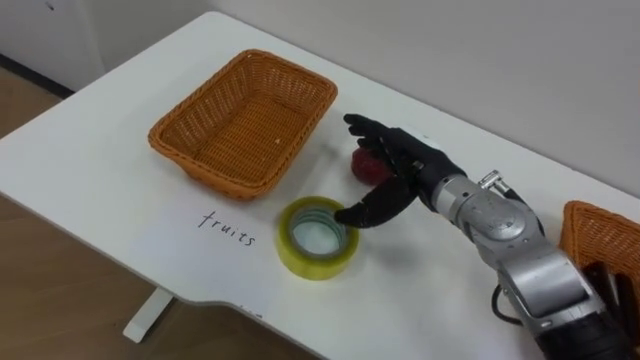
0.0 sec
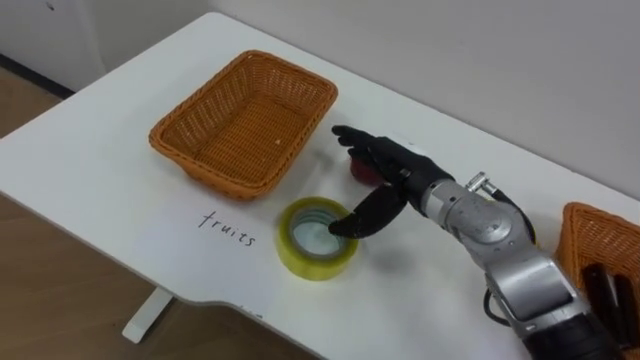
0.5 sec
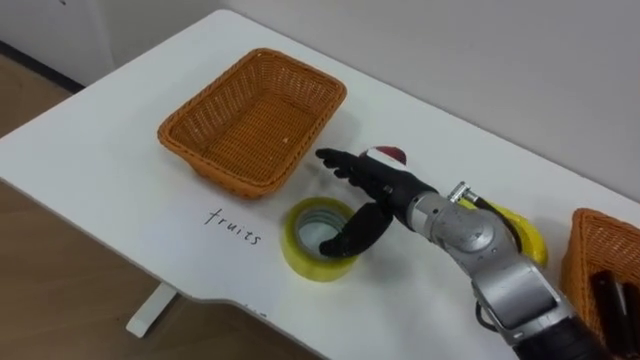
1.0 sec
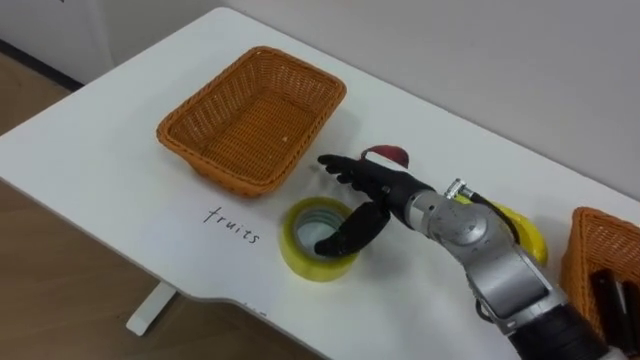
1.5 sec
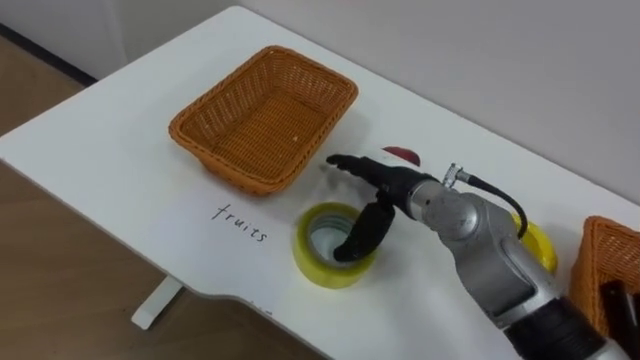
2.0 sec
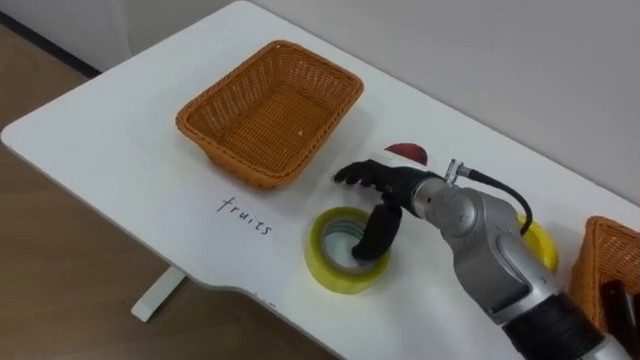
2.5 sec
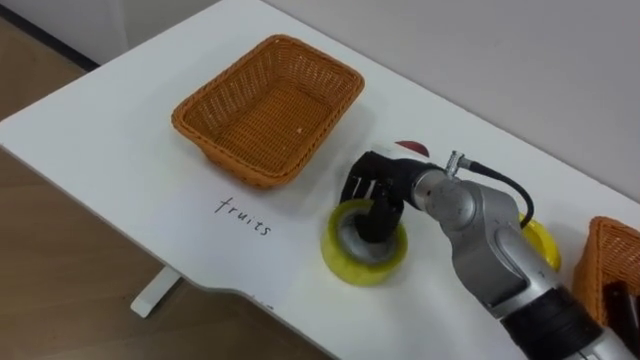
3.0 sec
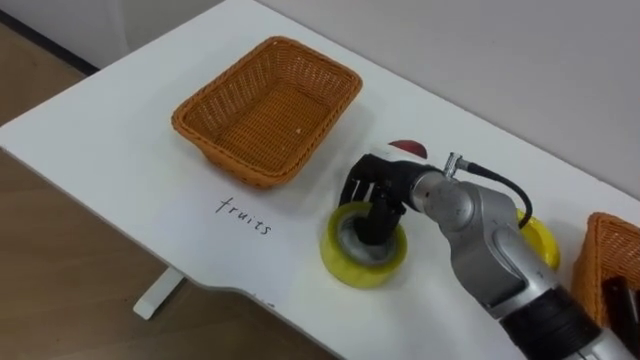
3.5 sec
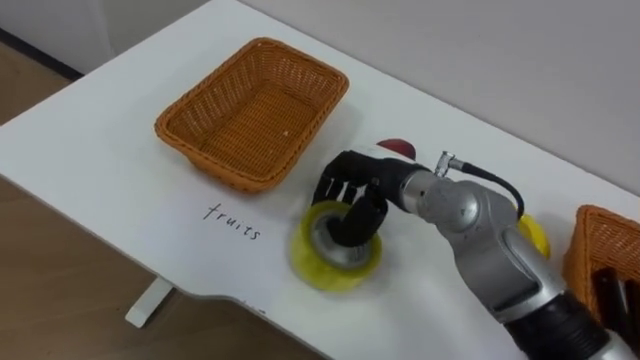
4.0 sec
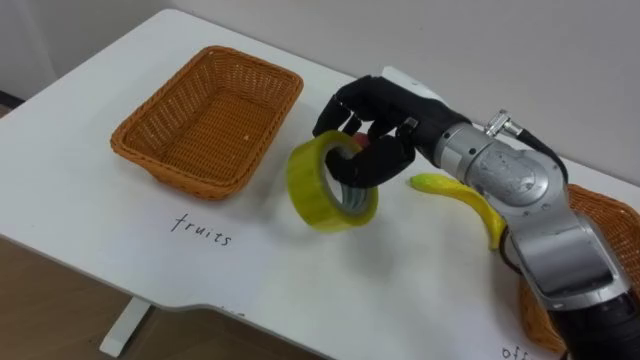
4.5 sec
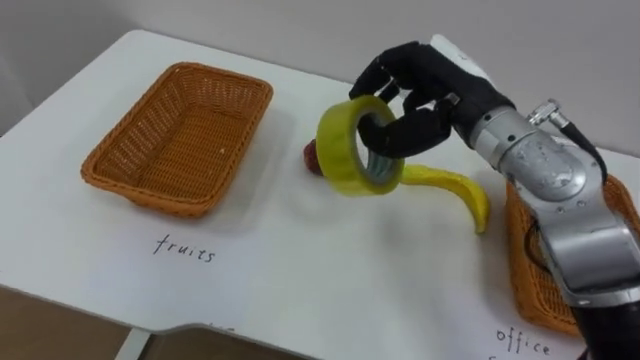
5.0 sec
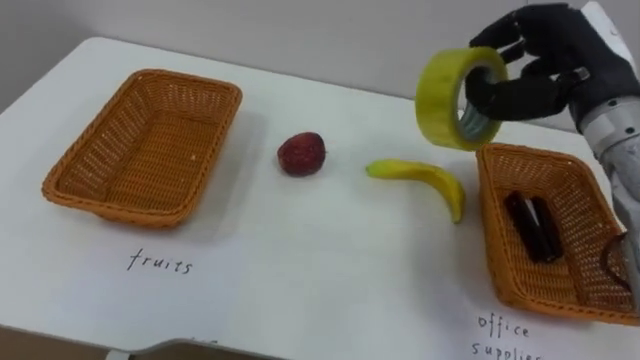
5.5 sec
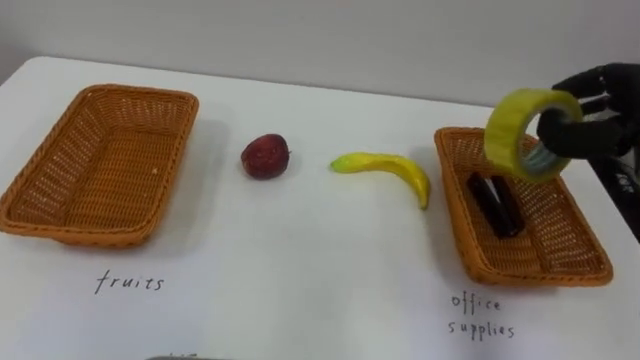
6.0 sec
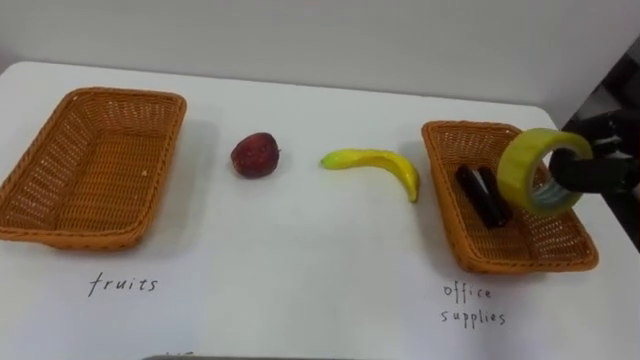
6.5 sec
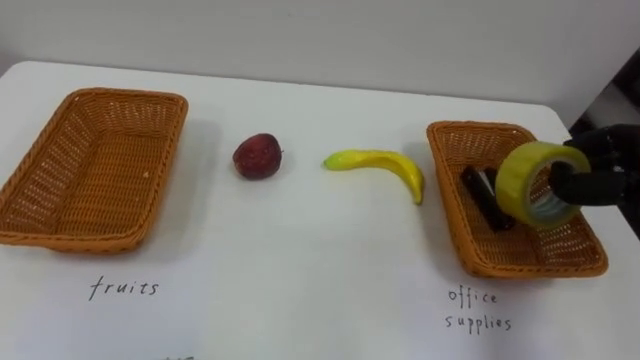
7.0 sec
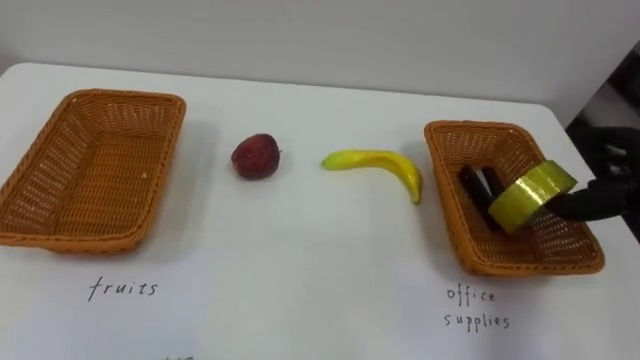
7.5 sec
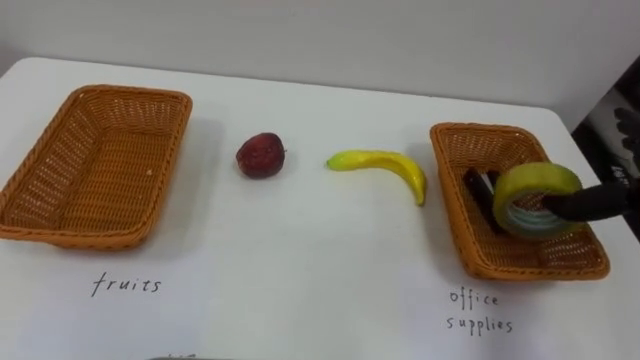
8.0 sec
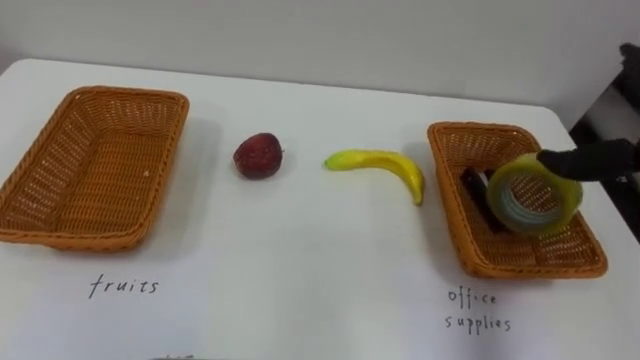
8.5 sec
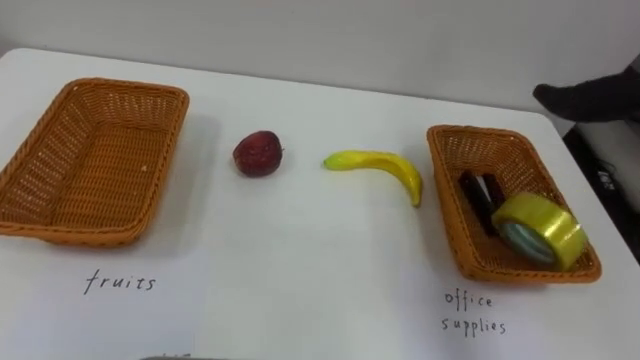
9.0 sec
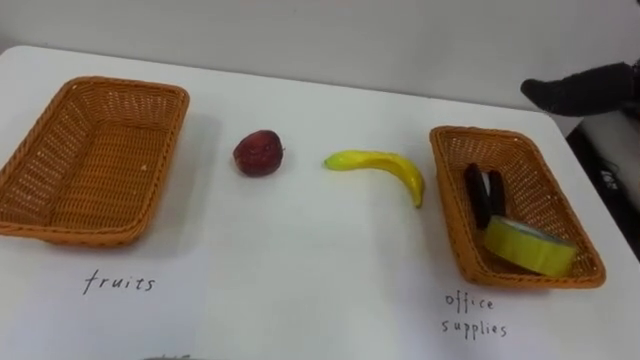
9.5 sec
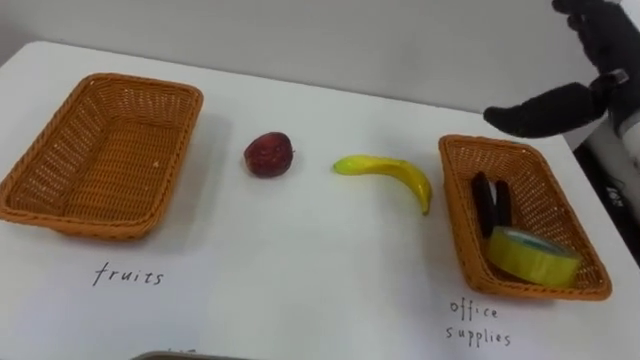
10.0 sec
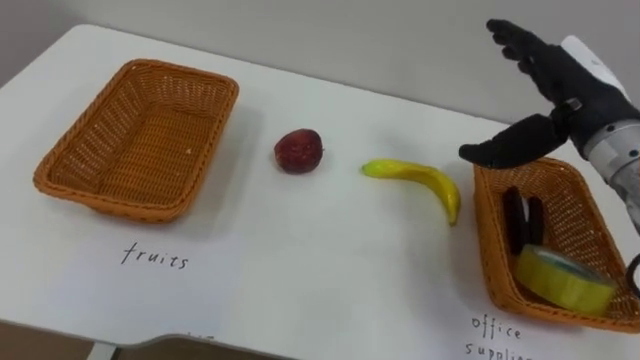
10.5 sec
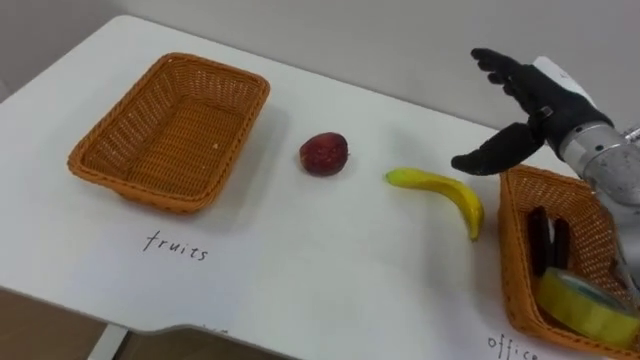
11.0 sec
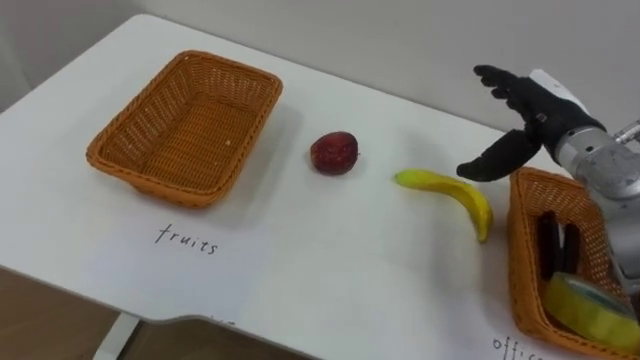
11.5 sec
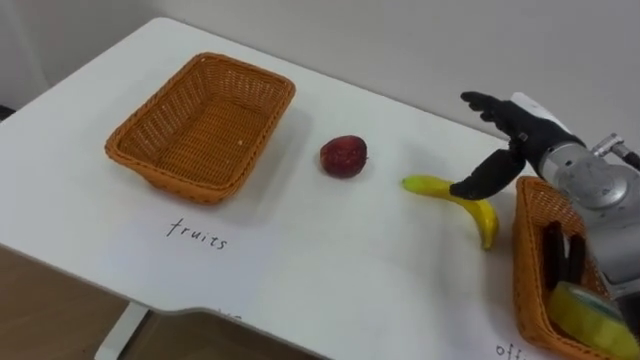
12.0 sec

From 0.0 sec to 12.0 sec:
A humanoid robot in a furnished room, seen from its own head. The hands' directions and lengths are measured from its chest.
Task of the whole recording: Separate the items on the table and place them into the two baskets.
From 2.0 sec to 4.0 sec: The right hand closes its fingers.
From 10.0 sec to 12.0 sec: The right hand moves downward, approximately 10 cm.

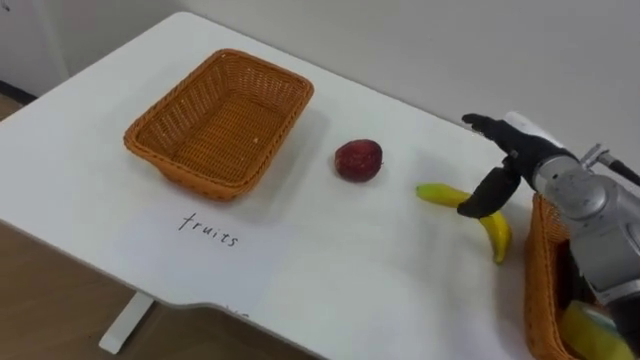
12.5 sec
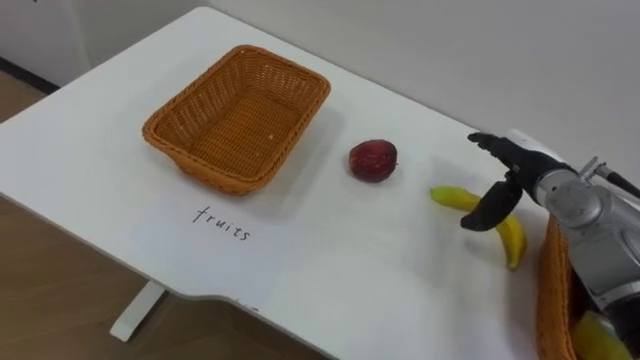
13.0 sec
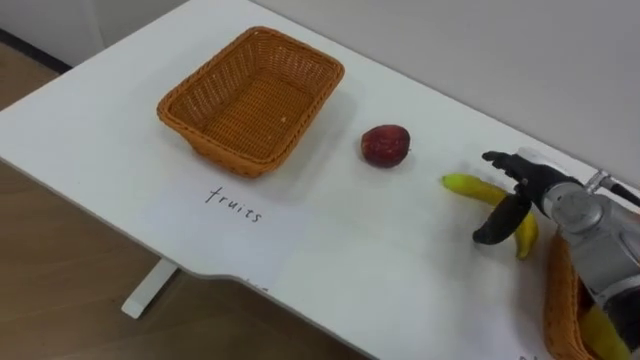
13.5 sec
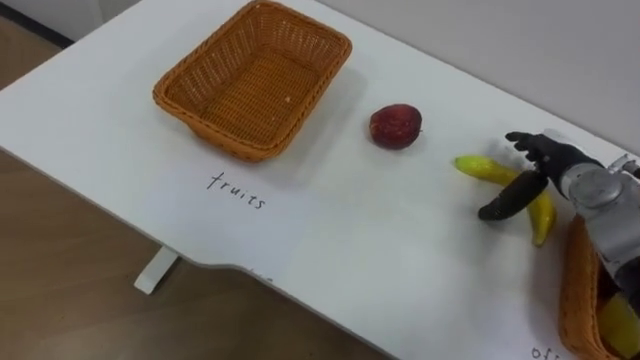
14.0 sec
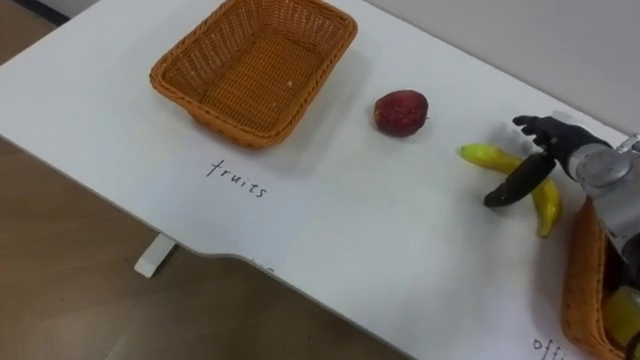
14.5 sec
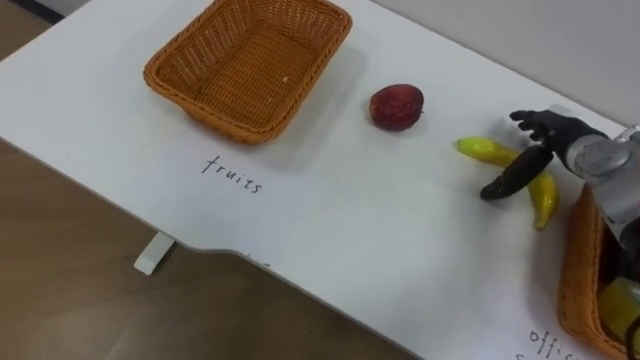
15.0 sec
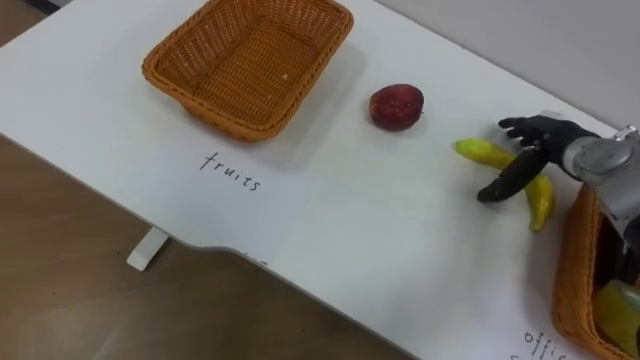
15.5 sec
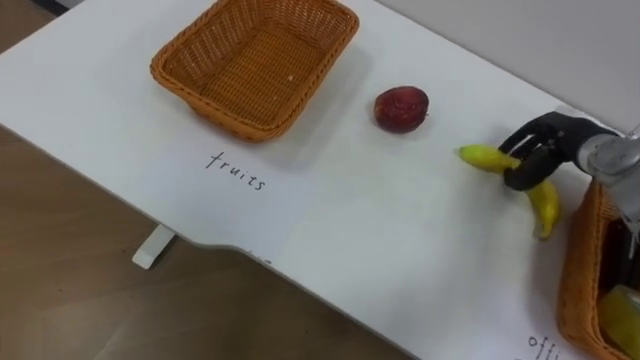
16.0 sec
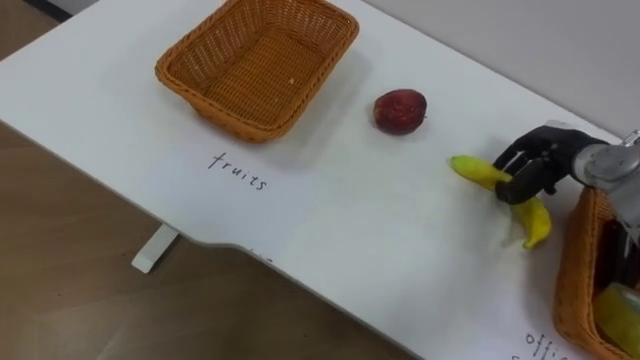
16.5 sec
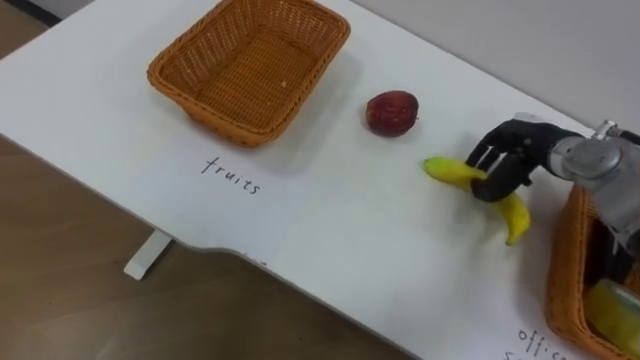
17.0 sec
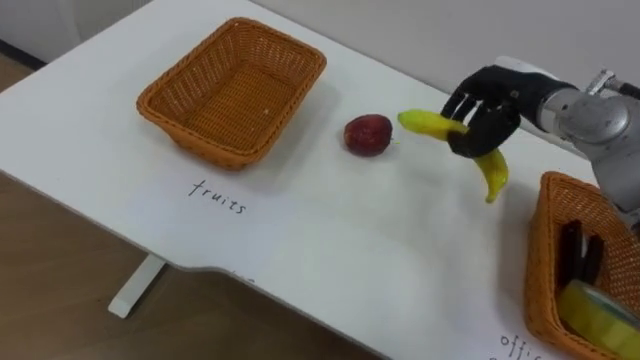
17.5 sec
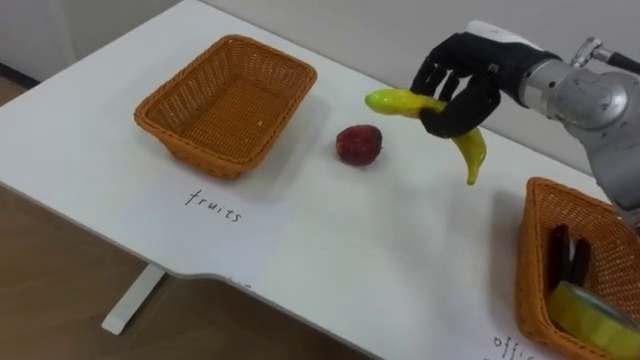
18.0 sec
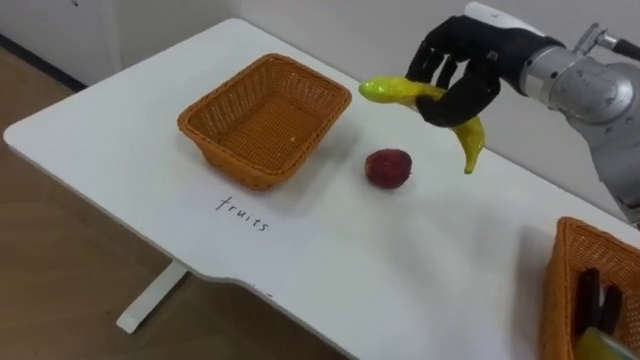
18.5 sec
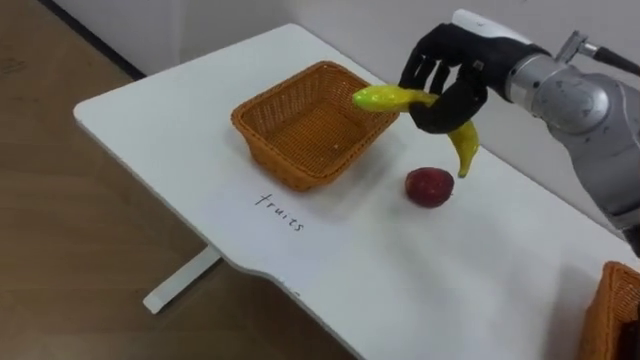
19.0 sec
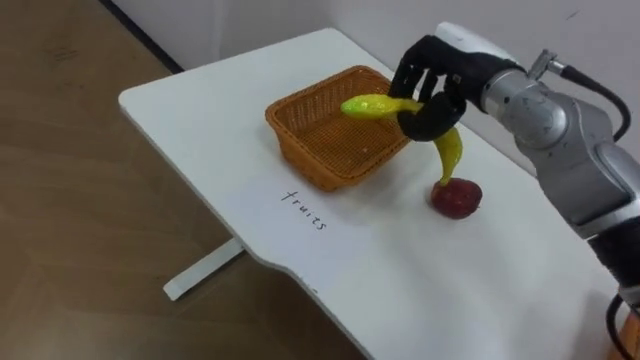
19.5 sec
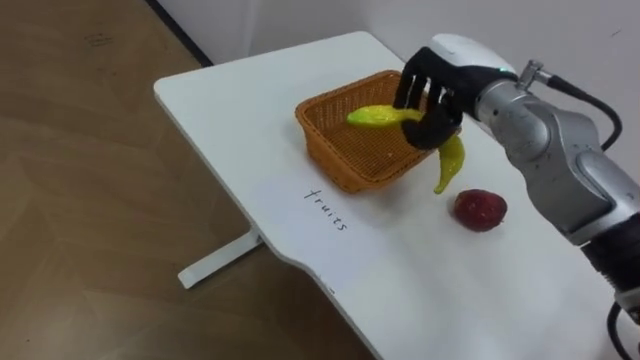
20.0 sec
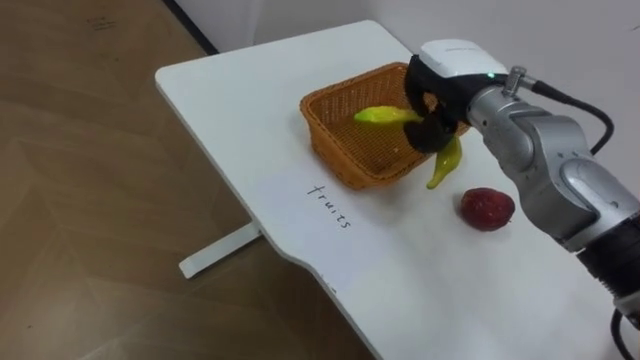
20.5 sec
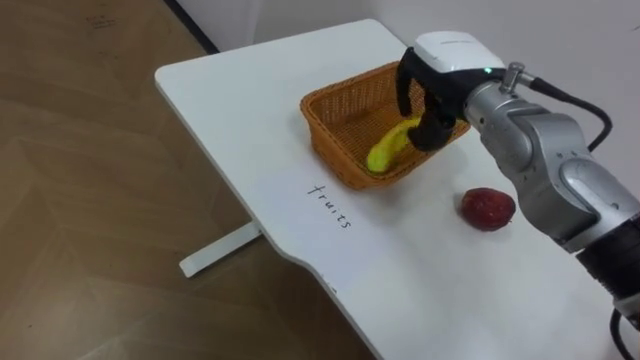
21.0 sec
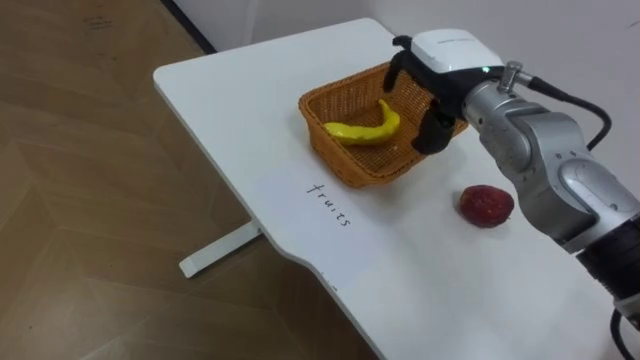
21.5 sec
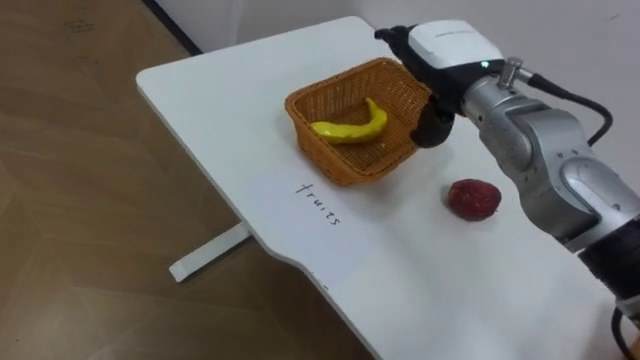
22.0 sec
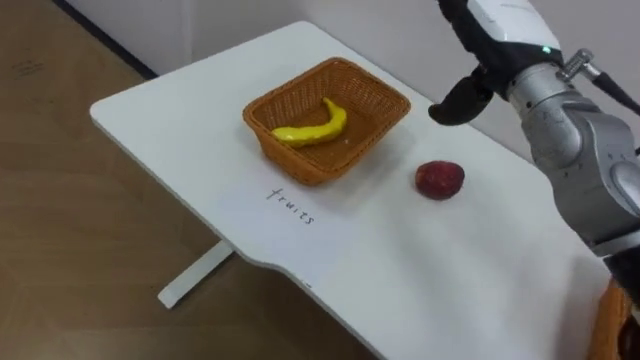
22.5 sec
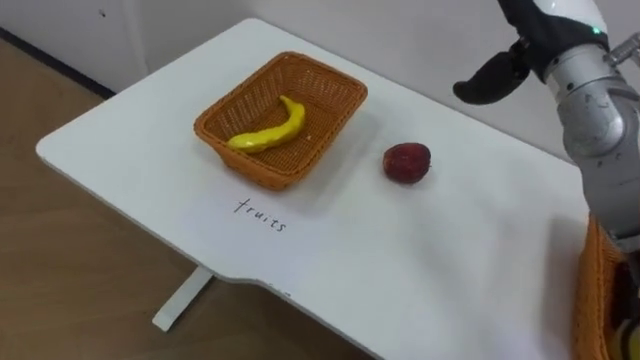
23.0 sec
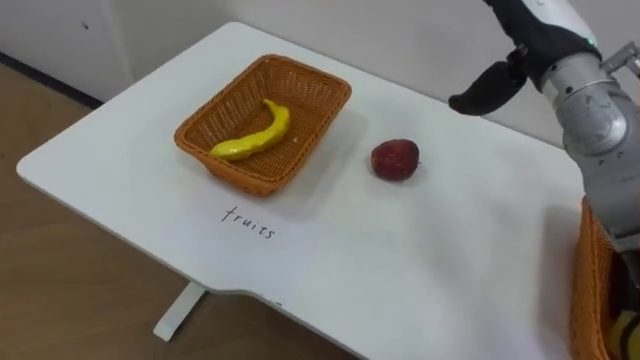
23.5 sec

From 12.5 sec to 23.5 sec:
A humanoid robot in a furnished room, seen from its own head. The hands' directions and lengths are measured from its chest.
Task of the whole recording: Separate the items on the table and place them into the two baskets.
From 12.5 sec to 14.5 sec: The right hand shifts about 5 cm to the right.
From 14.5 sec to 16.0 sec: The right hand closes.
From 16.0 sec to 18.0 sec: The right hand moves to the left and upward, about 15 cm.
From 20.0 sec to 21.5 sec: The right hand opens its fingers.
From 21.5 sec to 23.5 sec: The right hand is displaced to the right by approximately 10 cm.
